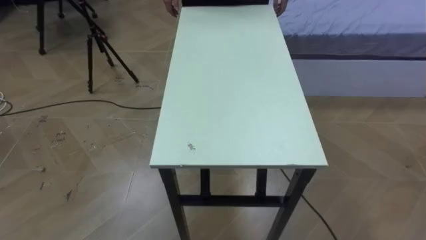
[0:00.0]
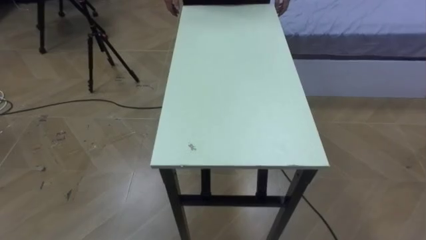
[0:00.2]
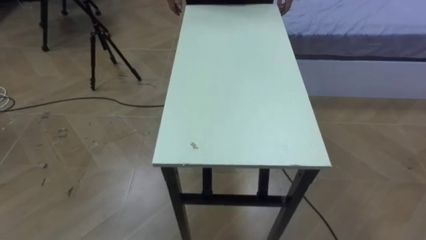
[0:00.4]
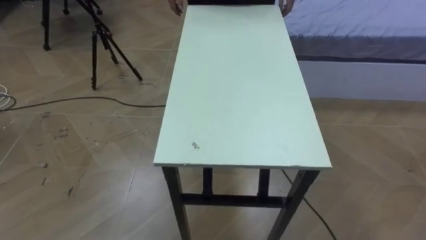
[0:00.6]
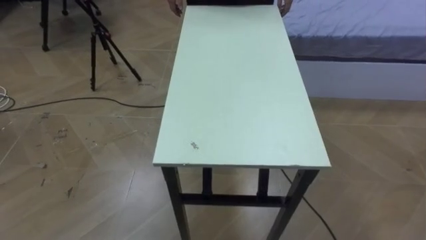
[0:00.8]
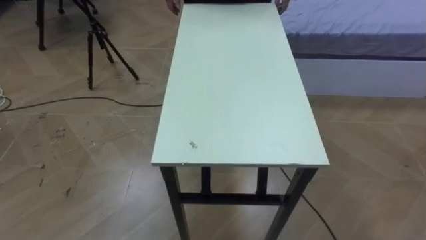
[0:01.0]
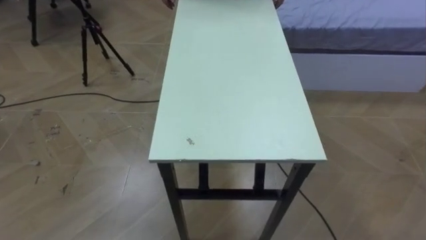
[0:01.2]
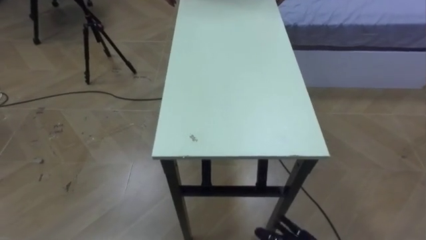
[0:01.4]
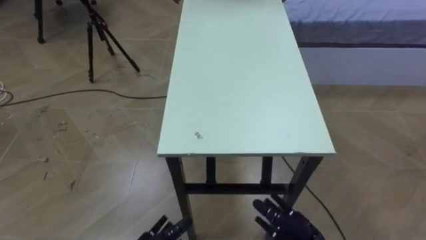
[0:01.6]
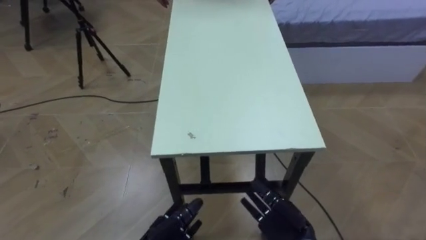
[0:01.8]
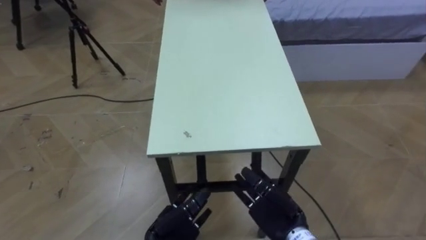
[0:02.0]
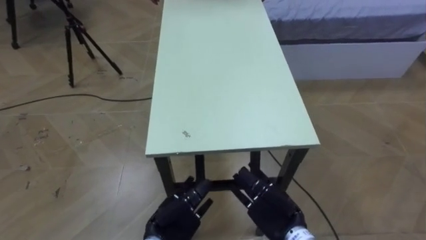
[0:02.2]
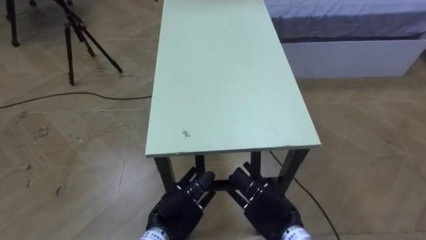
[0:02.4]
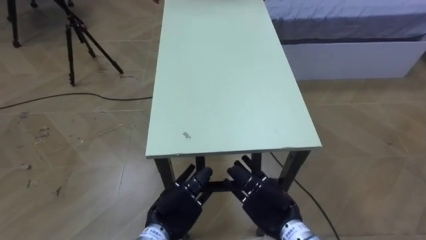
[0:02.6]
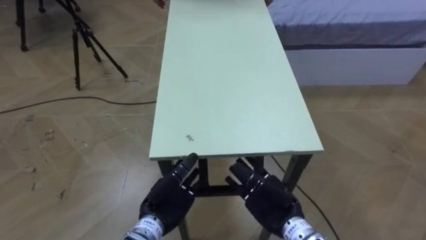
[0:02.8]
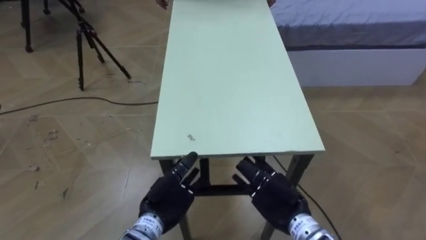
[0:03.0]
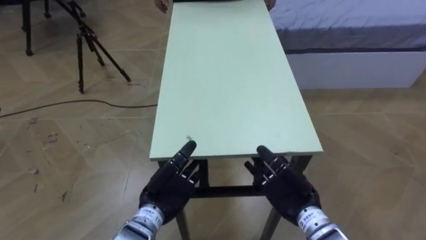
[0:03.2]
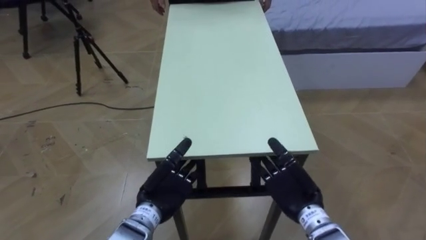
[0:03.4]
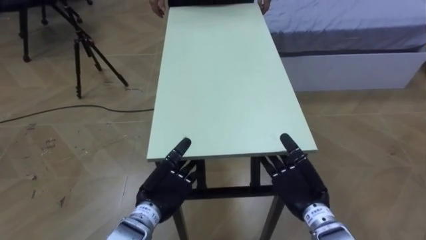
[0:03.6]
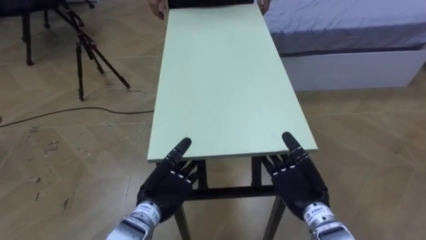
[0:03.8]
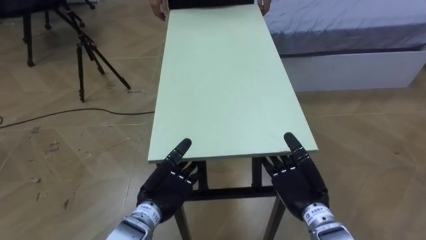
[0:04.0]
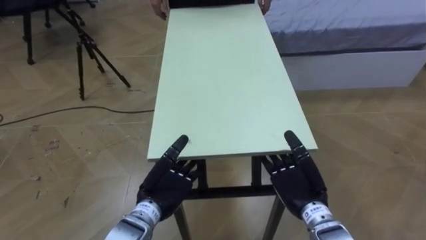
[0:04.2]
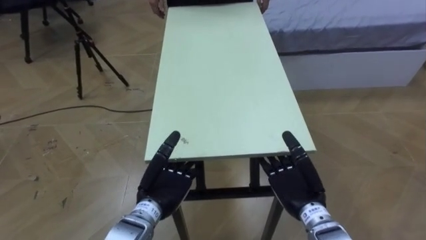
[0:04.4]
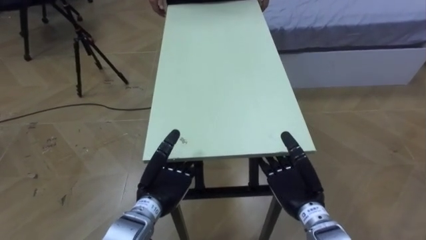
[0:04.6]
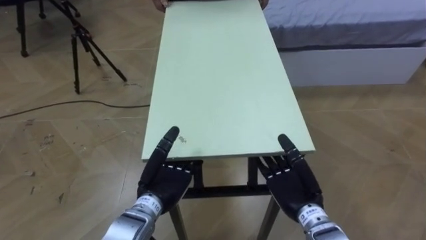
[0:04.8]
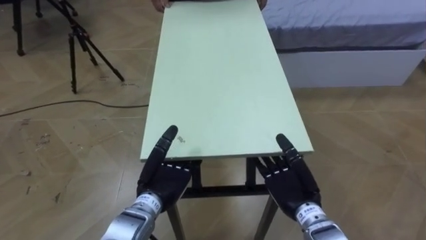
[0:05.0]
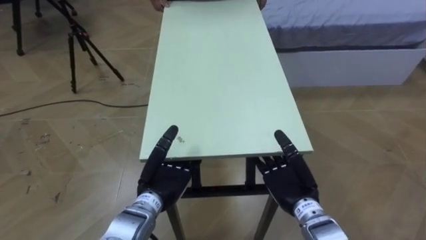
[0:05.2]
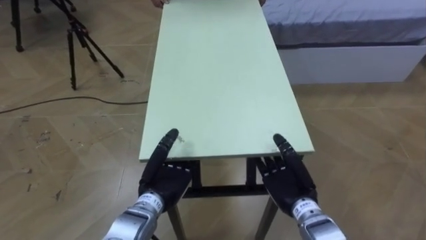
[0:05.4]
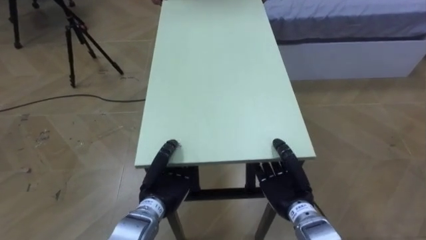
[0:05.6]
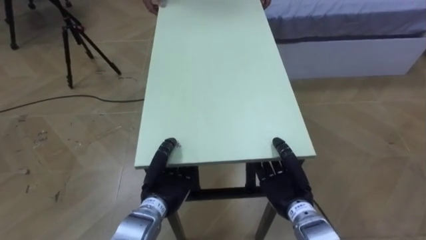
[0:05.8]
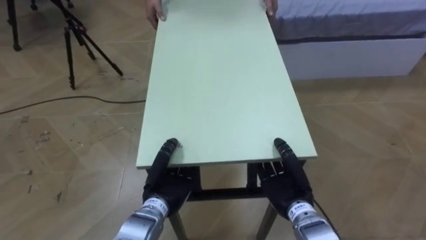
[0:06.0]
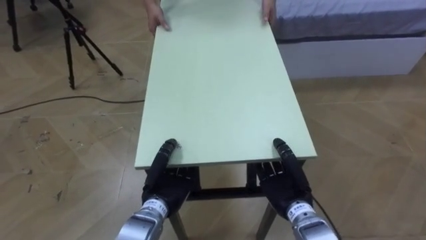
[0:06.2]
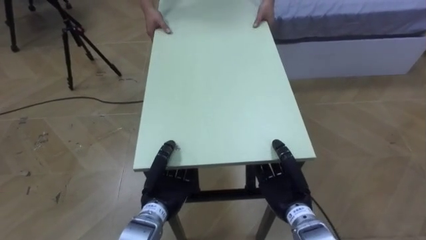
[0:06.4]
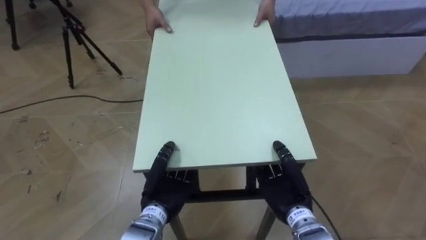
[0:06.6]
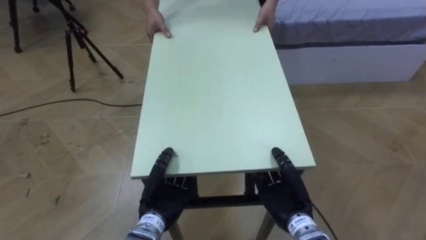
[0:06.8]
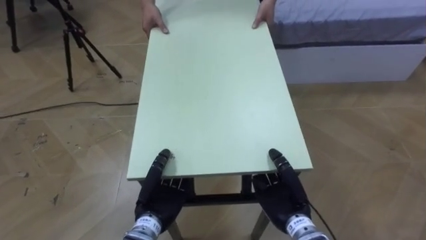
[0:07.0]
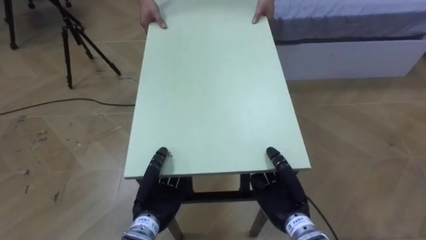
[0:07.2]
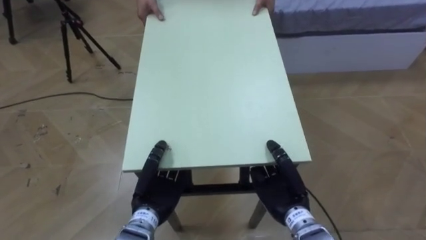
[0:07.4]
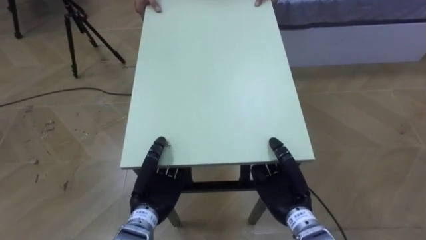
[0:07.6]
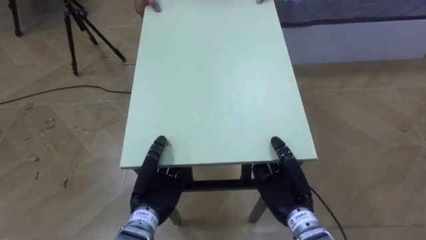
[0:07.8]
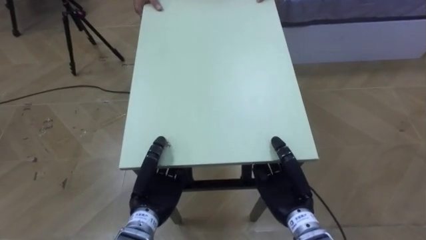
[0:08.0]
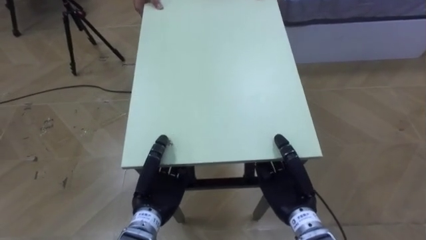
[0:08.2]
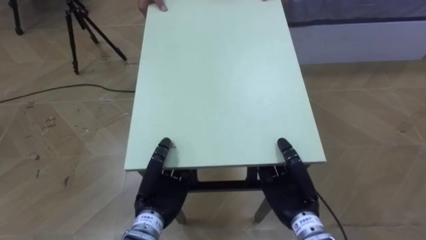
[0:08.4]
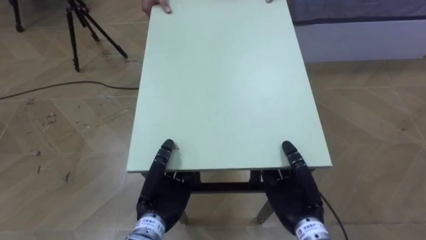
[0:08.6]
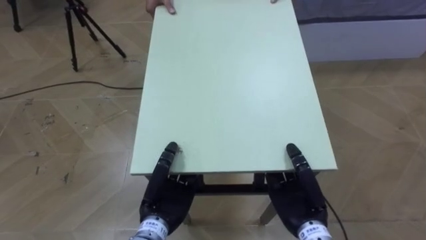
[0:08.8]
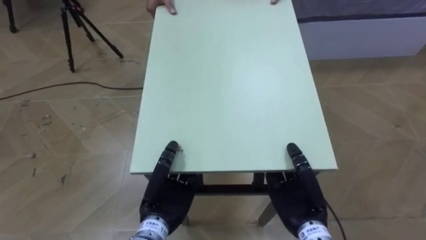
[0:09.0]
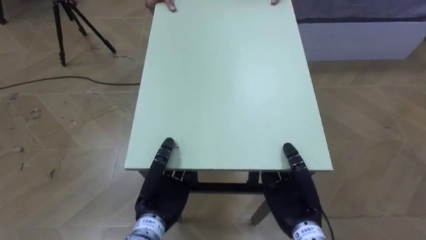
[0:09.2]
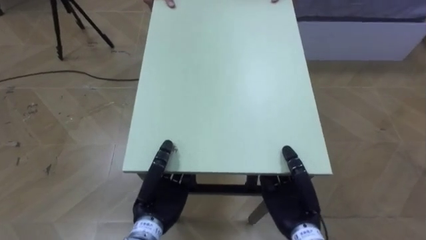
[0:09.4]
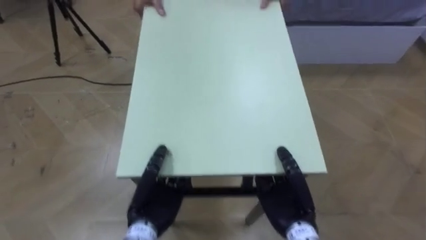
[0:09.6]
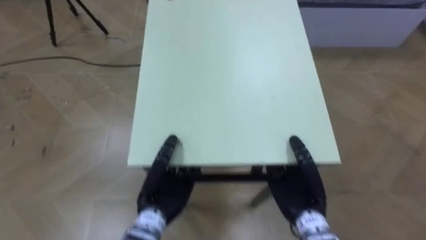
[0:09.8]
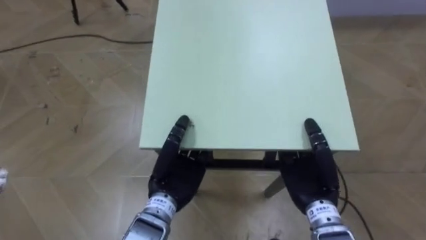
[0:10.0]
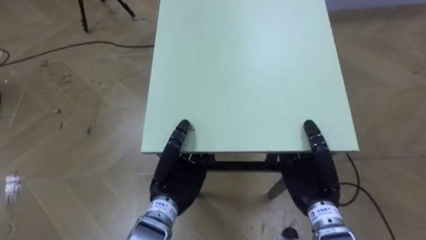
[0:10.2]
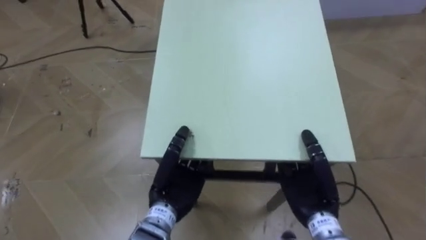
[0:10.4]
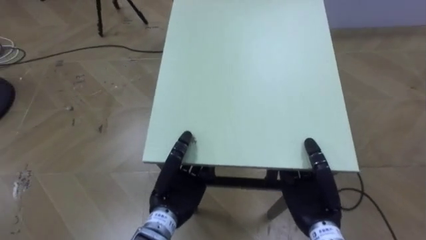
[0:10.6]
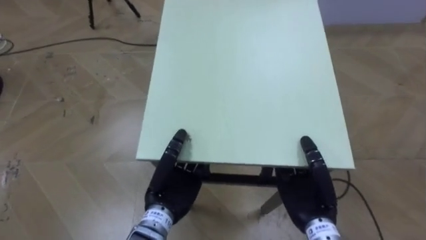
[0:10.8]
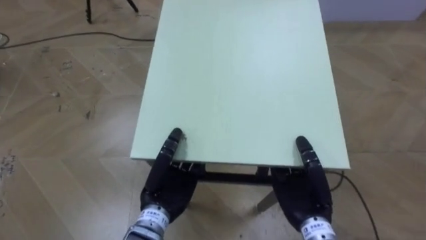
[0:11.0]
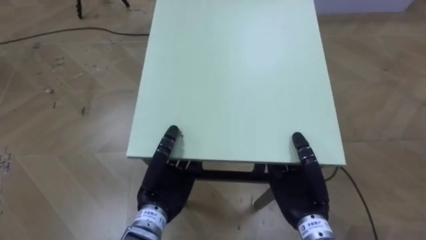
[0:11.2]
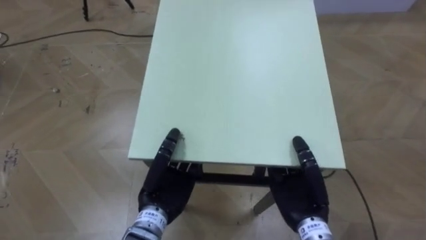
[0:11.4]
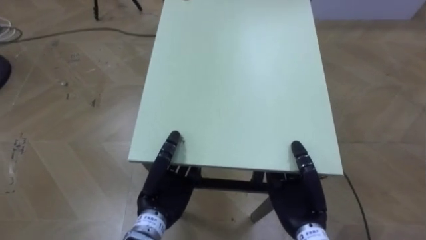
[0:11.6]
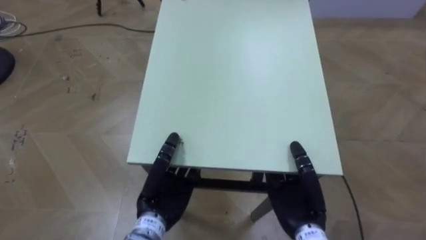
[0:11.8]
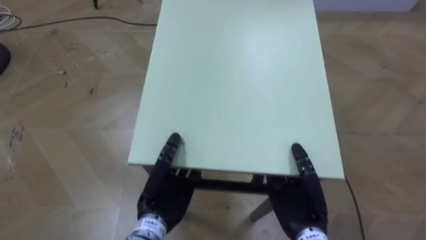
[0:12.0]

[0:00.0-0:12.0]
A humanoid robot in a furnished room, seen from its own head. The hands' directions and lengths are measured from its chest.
Task of the whole recording: Move the table to the back left with someone.
1.6 to 3.0 s: The right hand travels upward and forward by approximately 10 cm.
4.4 to 6.0 s: The left hand closes its fingers; the right hand closes its fingers.

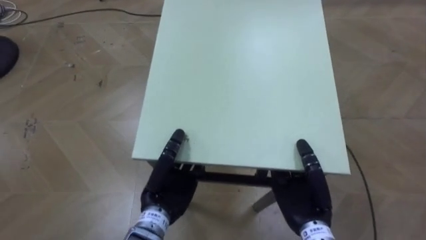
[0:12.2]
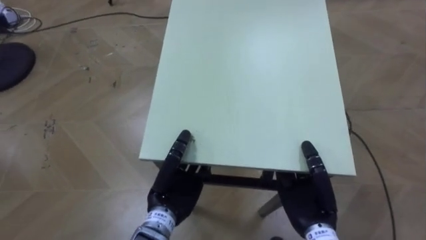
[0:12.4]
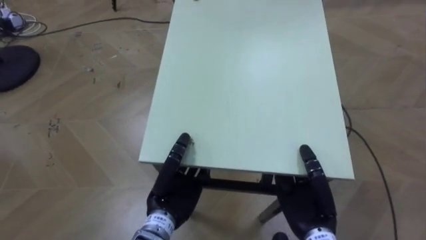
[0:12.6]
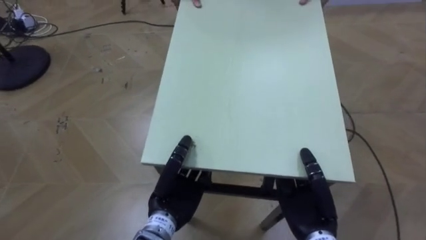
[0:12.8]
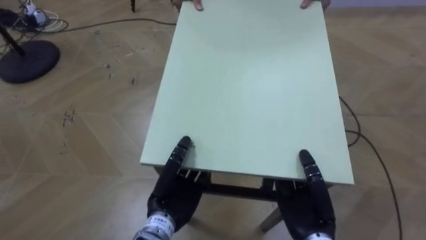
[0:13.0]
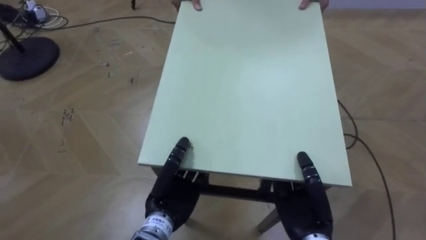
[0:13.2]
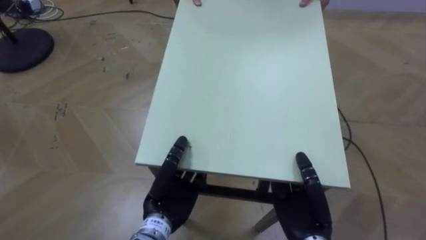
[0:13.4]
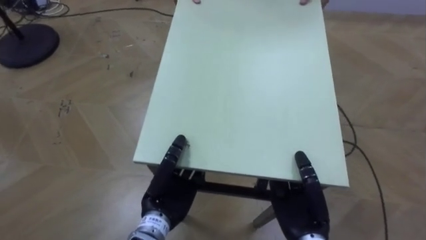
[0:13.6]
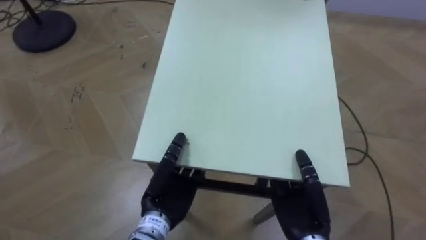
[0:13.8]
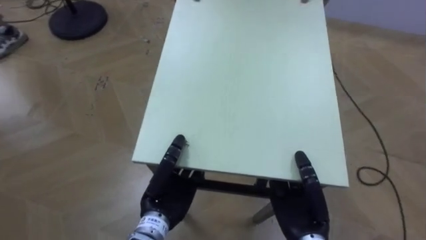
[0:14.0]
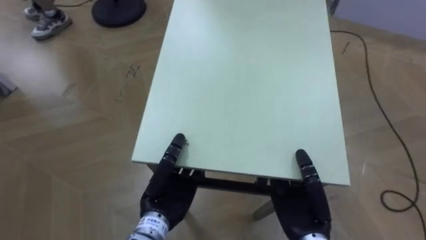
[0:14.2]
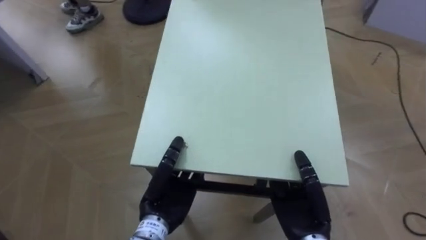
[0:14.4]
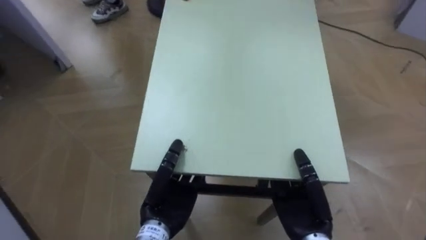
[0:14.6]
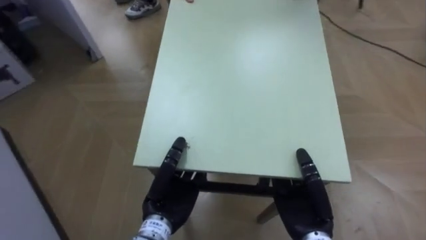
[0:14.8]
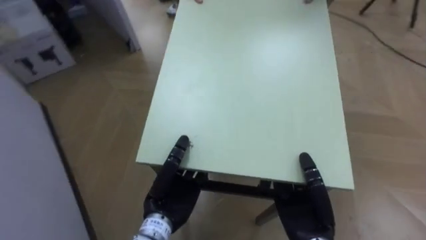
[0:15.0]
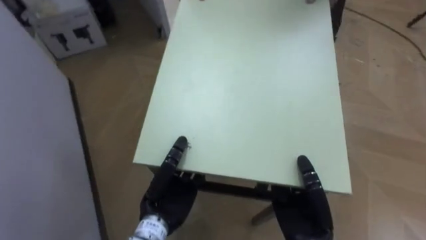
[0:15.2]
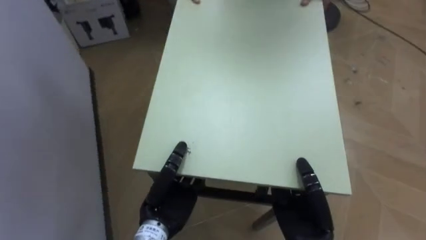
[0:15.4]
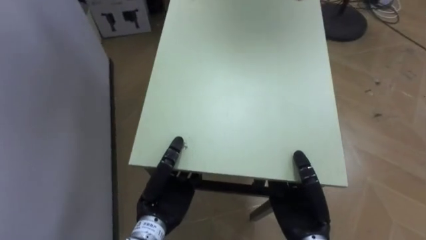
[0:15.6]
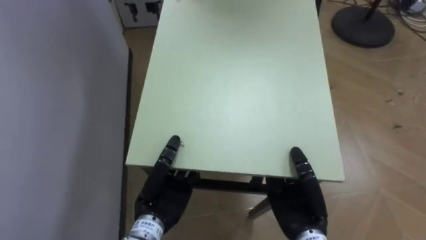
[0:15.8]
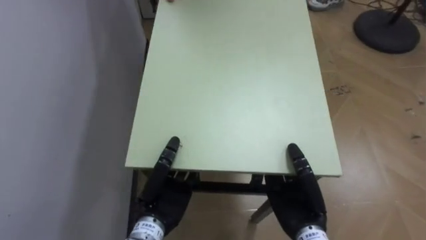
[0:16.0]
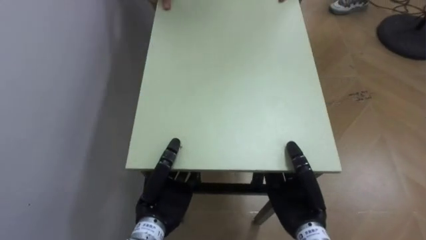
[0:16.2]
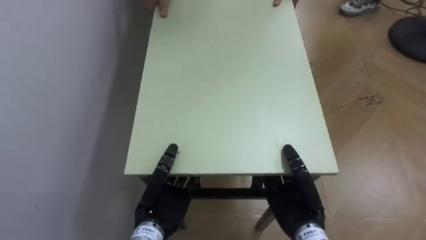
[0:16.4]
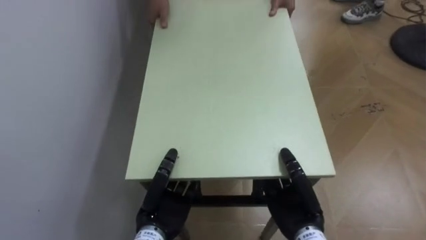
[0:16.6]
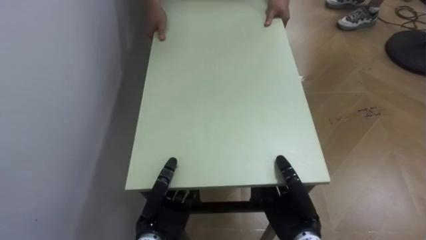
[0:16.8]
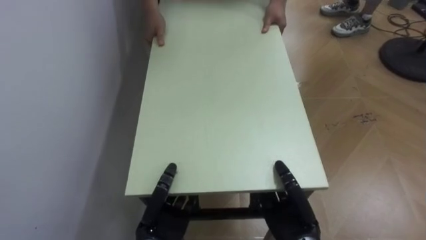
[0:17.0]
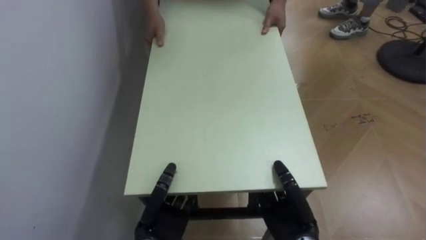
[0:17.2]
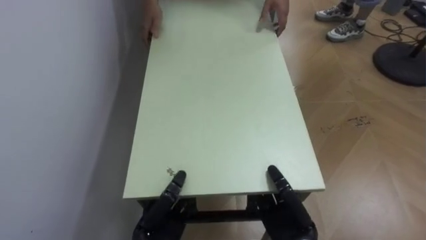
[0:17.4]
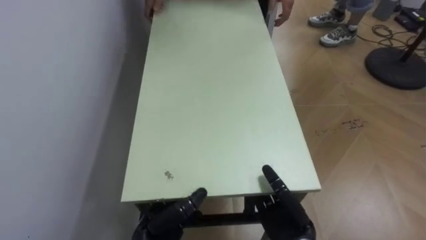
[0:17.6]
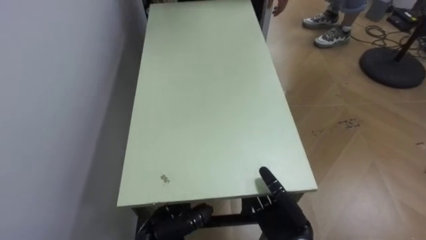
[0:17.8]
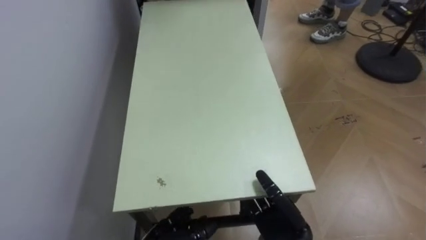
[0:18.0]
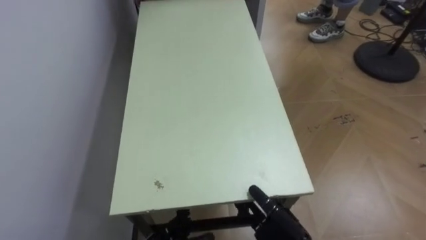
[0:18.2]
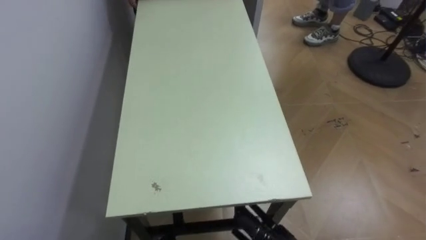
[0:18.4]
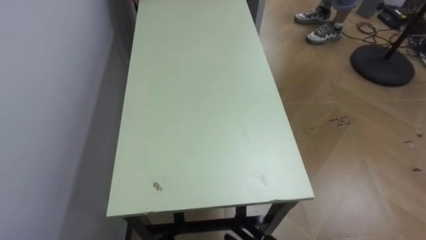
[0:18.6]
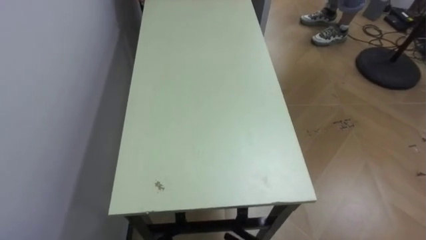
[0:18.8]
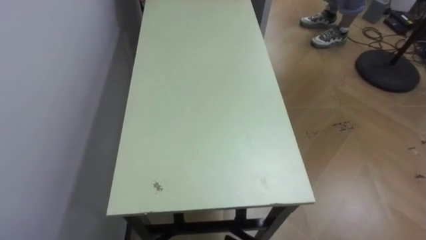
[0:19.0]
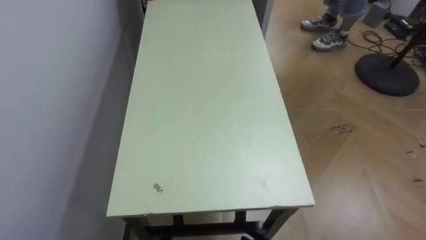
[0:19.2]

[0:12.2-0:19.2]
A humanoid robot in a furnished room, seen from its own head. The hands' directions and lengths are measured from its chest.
Task of the whole recording: Move the table to the back left with someone.
13.6 to 15.0 s: The robot turns to its left by some 55 degrees.
15.0 to 16.4 s: The robot's body swings approximately 25 degrees to its left.
16.4 to 17.8 s: The left hand heads downward, covering approximately 5 cm, and opens up.
